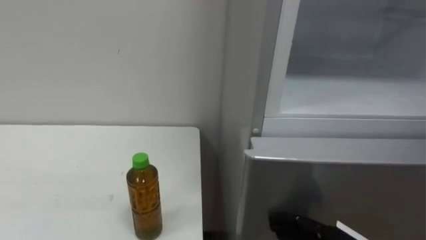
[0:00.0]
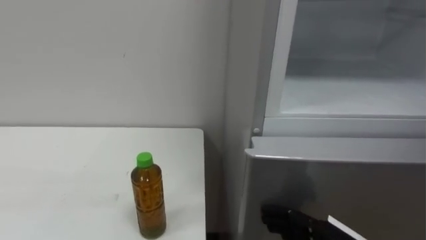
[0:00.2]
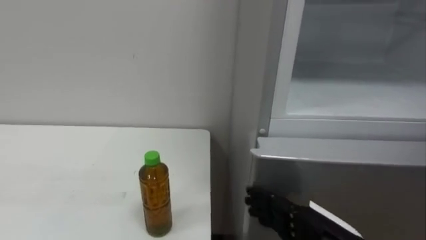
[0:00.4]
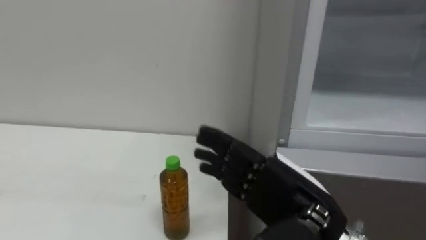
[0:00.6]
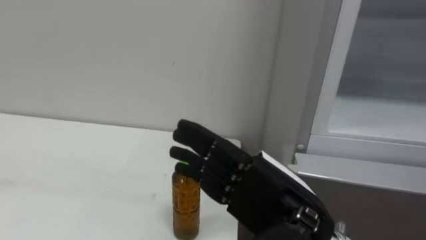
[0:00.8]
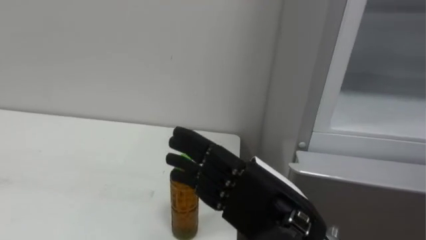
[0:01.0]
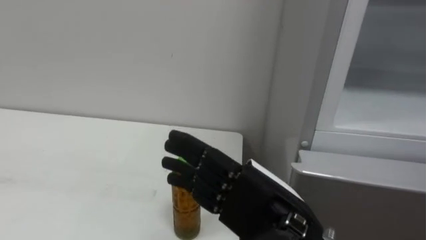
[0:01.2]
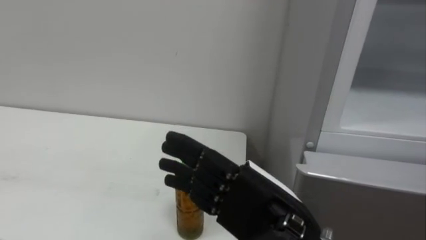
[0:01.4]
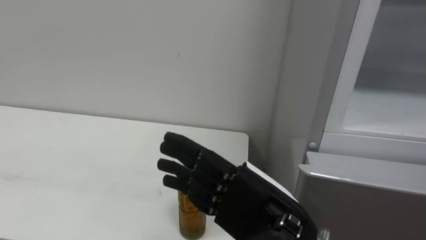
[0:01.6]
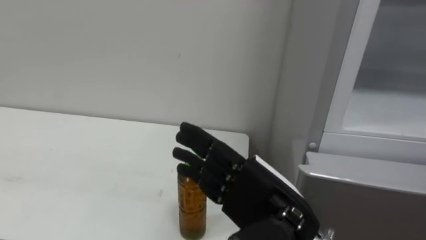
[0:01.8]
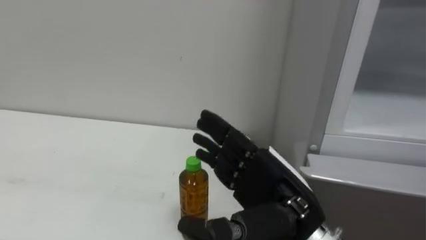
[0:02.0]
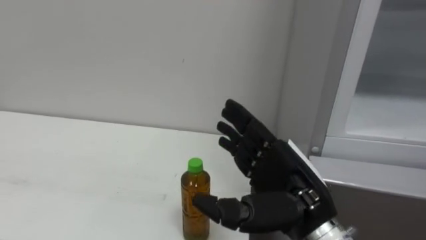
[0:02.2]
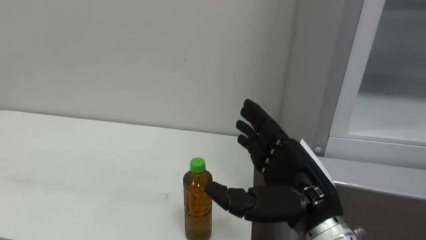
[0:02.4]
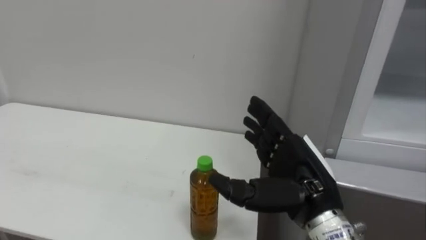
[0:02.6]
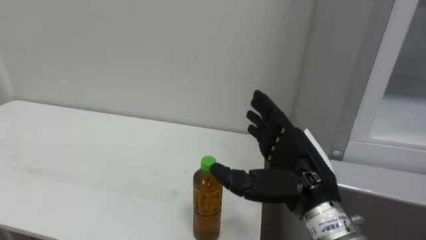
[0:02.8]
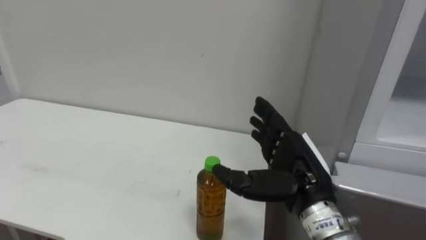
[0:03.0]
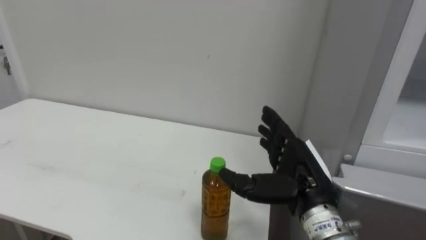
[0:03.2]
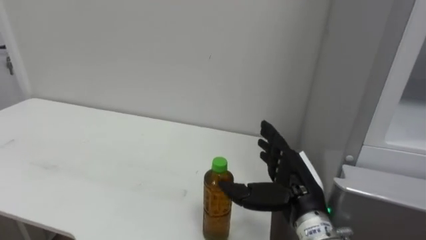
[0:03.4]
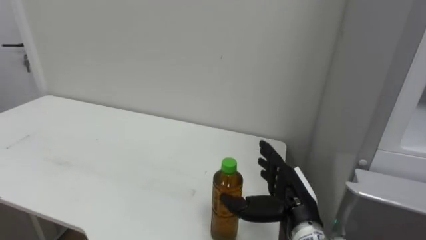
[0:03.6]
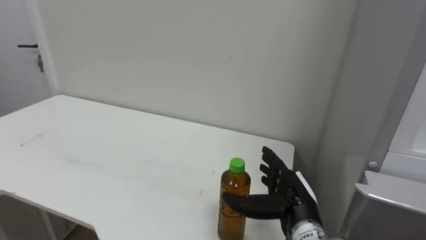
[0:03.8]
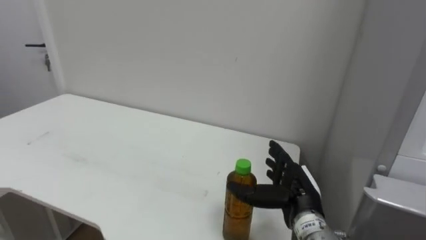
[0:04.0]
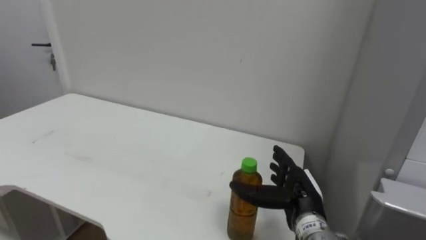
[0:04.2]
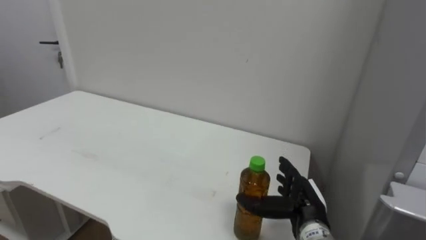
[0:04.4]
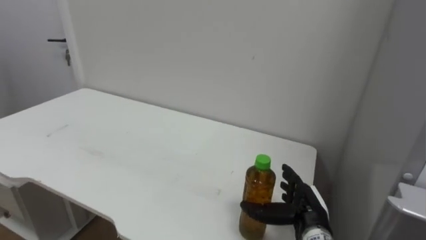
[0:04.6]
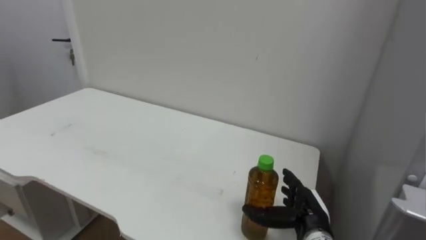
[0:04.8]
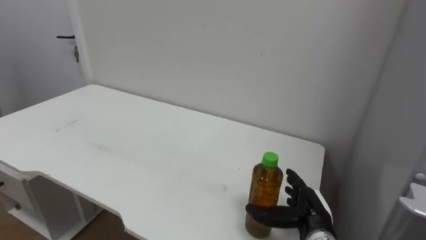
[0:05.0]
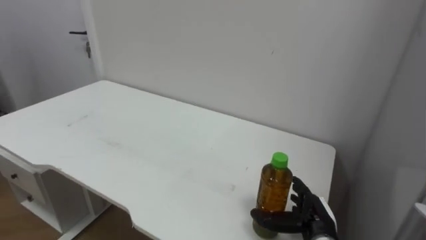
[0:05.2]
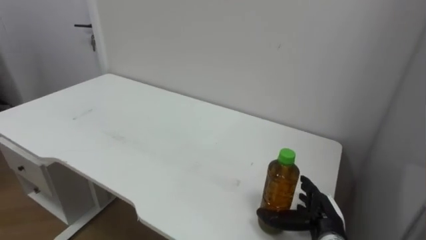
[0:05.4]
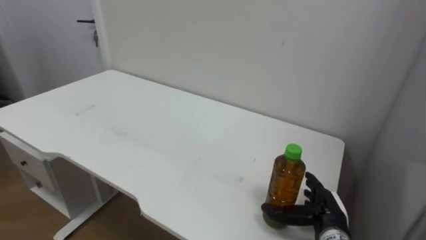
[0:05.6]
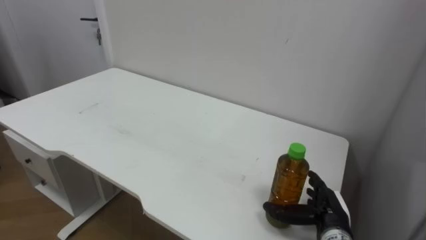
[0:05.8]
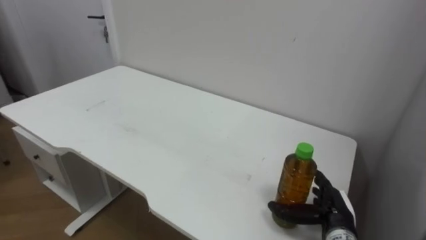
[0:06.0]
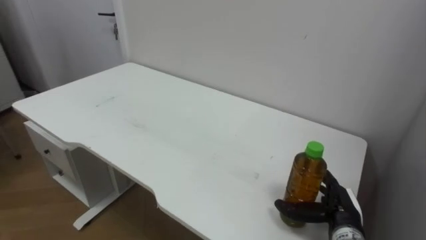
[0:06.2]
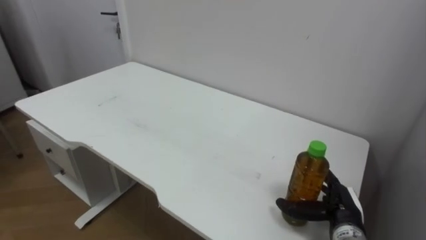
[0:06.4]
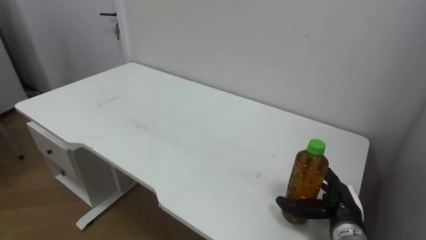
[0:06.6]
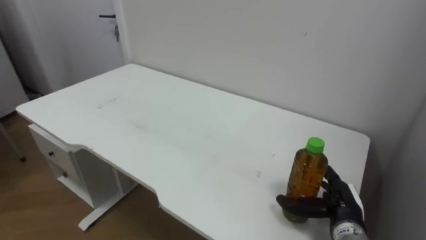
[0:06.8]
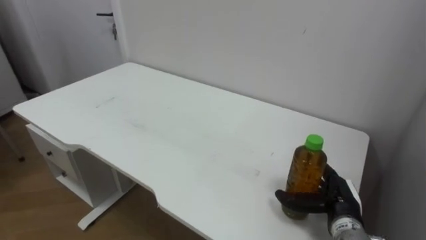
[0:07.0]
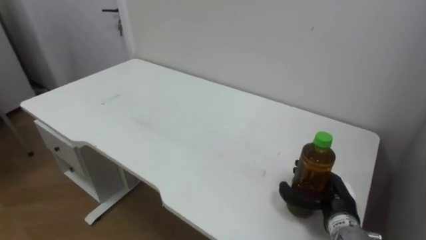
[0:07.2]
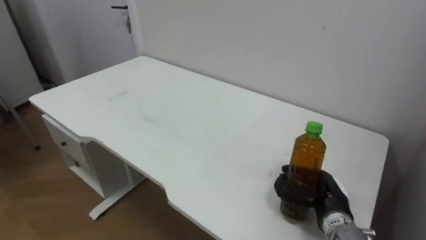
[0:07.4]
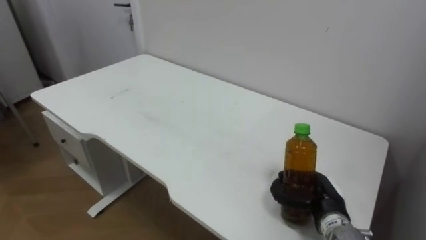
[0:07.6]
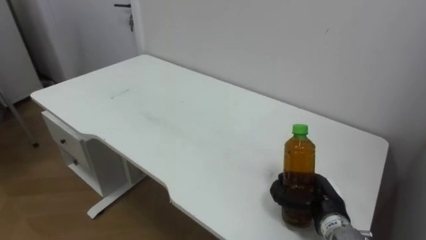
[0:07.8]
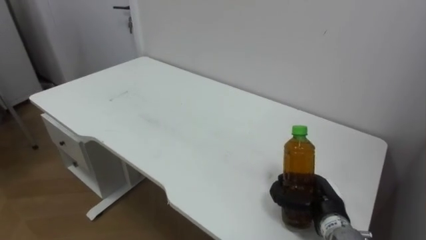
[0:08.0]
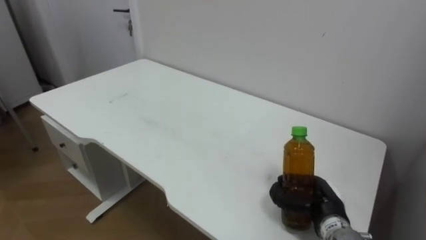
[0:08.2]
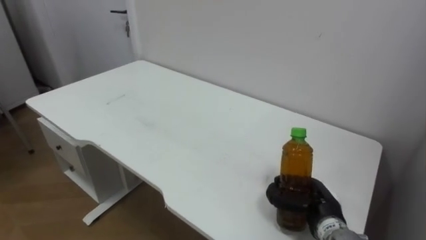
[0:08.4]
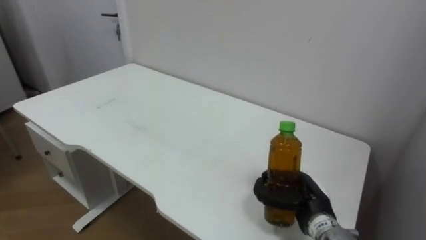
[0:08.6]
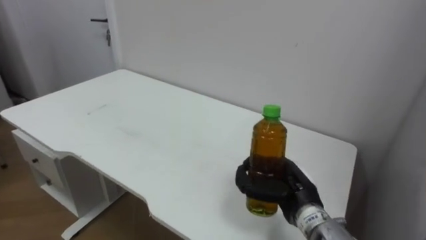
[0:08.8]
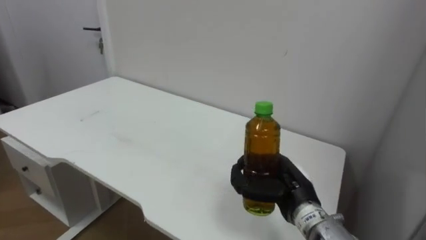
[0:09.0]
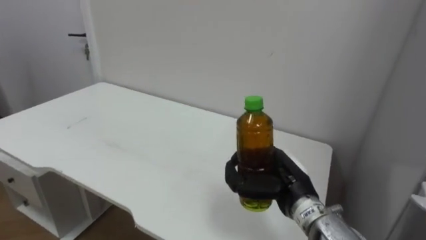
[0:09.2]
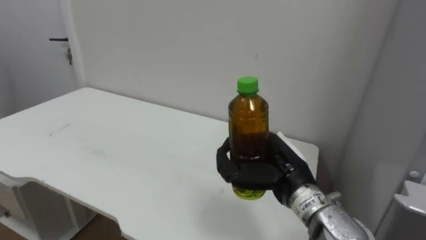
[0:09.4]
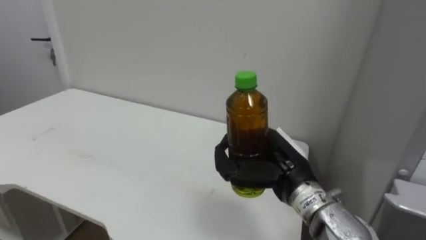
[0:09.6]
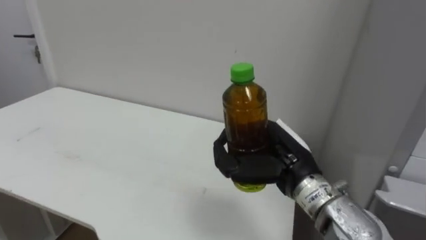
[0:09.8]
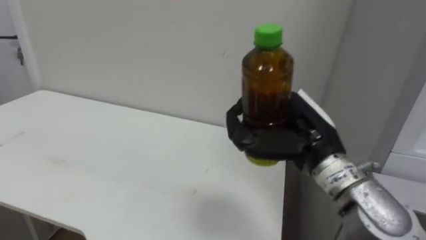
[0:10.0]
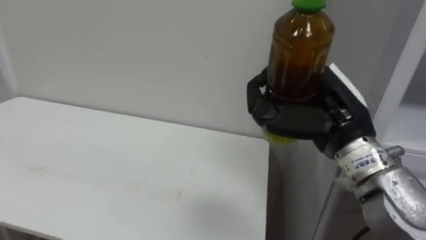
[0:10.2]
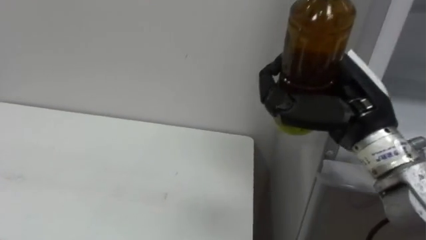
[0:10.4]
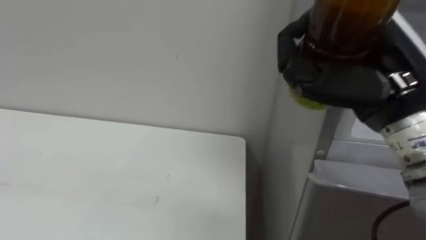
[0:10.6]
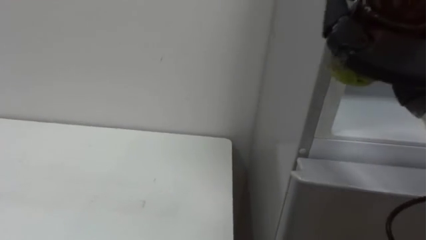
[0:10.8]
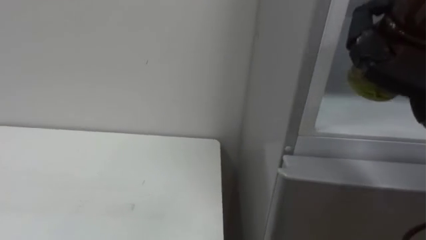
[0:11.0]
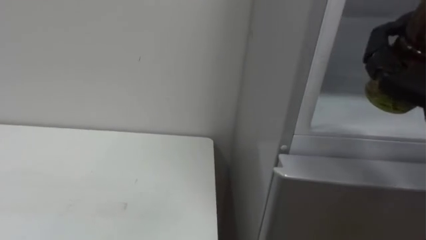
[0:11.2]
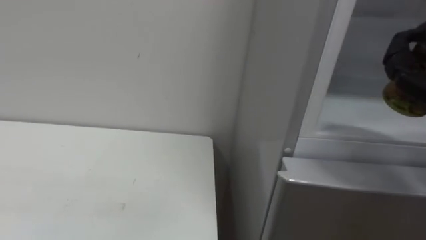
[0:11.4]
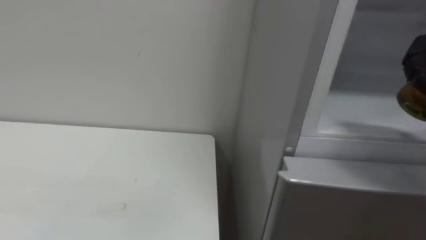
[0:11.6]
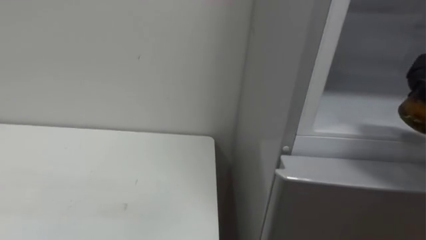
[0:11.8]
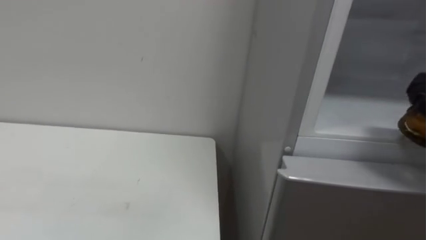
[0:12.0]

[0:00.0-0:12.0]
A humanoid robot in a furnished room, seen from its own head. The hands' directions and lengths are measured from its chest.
Task of the whole recording: Open the upper refrigerator door, put the drink from the table into the refrigerator, and then close the refrigerator door.
0:01.6 to 0:03.0: The right hand moves forward and to the right, approximately 10 cm.
0:03.0 to 0:04.4: The right hand goes roughly 10 cm downward.
0:04.4 to 0:06.0: The right hand shifts approximately 5 cm to the right.
0:06.0 to 0:07.6: The right hand closes.
0:07.6 to 0:09.0: The right hand goes roughly 10 cm to the left and upward.
0:09.0 to 0:10.4: The right hand goes about 20 cm upward.

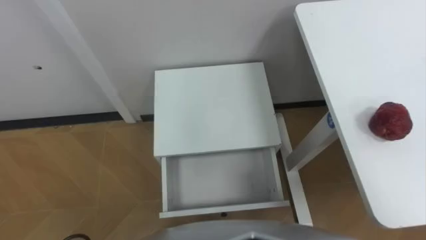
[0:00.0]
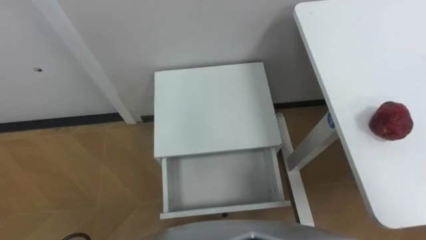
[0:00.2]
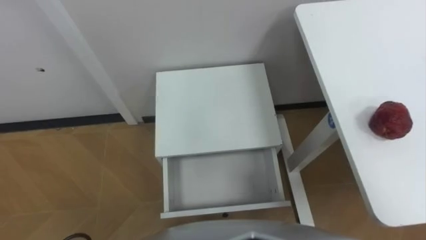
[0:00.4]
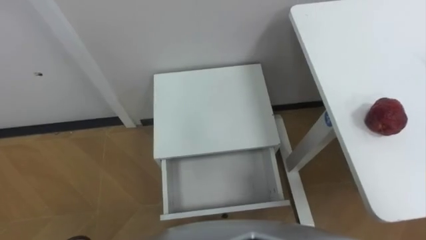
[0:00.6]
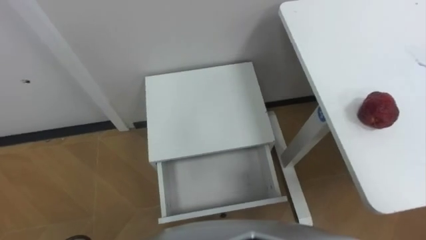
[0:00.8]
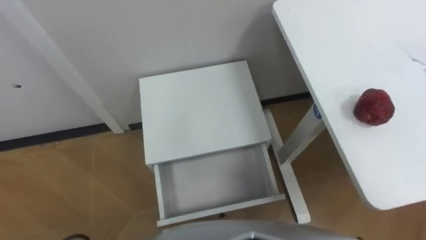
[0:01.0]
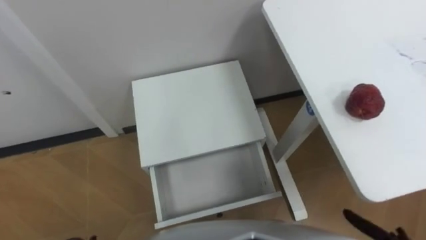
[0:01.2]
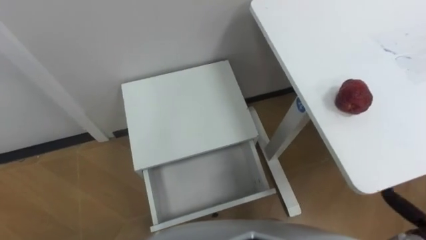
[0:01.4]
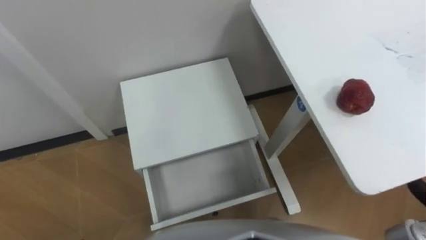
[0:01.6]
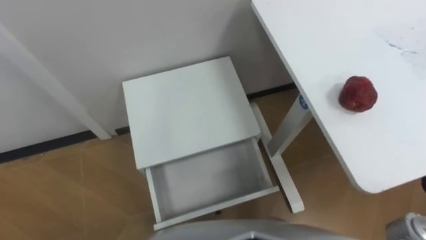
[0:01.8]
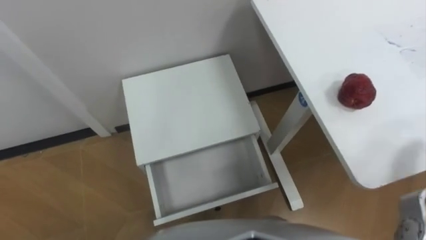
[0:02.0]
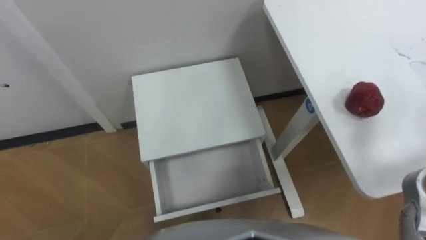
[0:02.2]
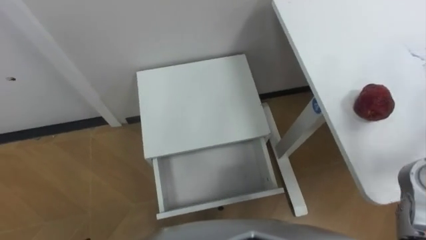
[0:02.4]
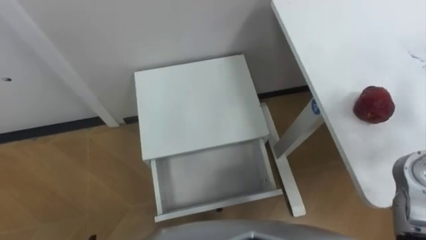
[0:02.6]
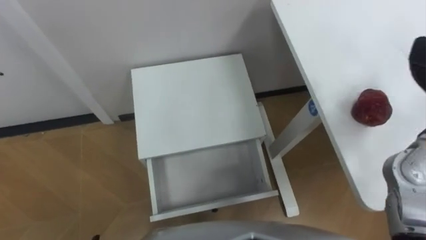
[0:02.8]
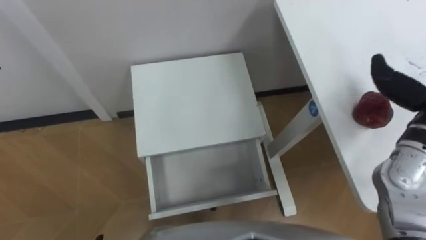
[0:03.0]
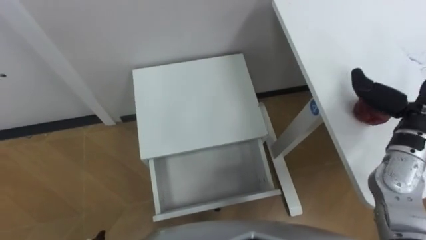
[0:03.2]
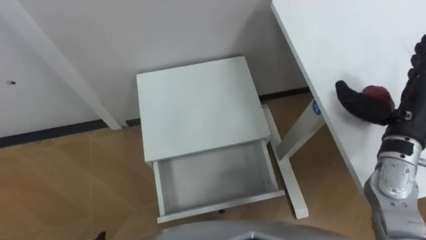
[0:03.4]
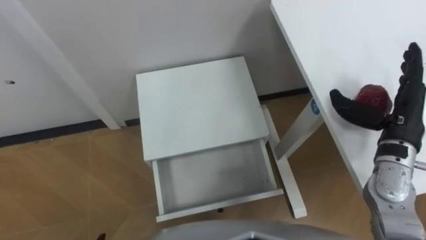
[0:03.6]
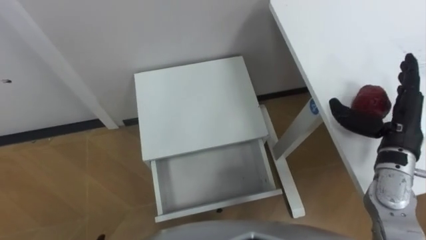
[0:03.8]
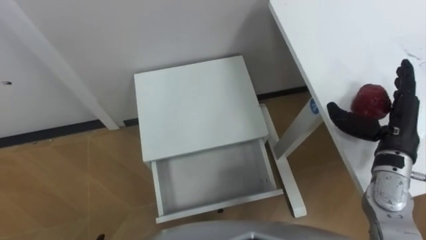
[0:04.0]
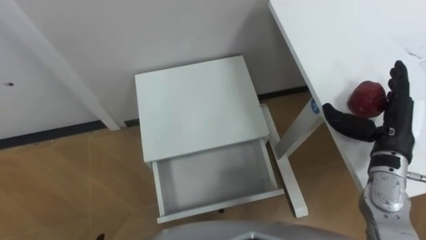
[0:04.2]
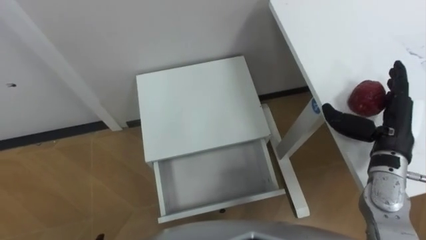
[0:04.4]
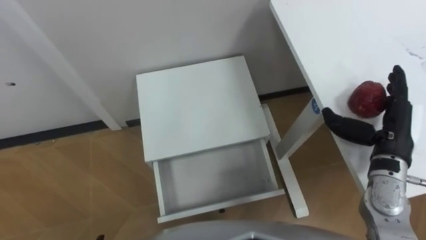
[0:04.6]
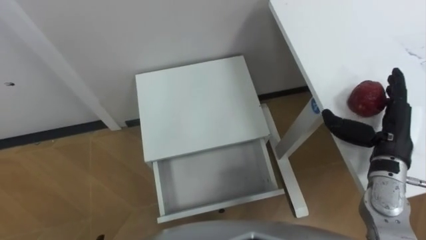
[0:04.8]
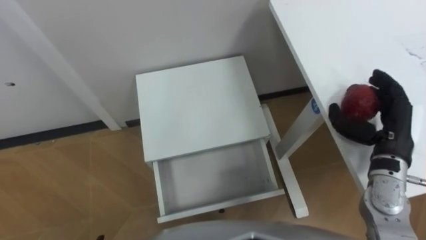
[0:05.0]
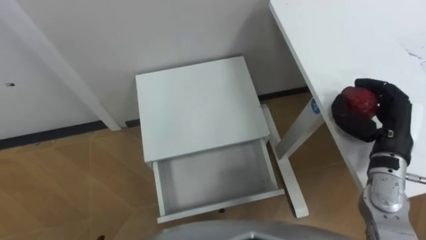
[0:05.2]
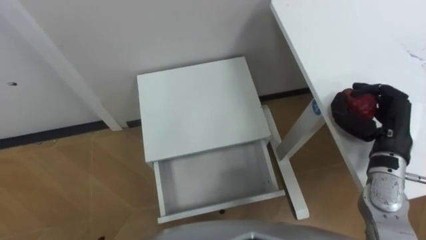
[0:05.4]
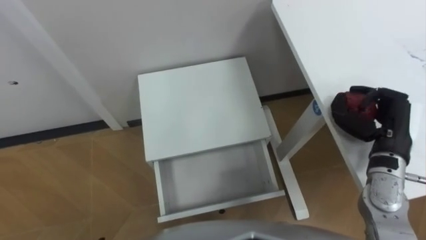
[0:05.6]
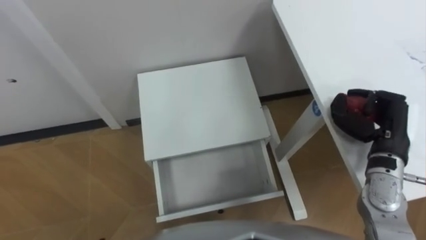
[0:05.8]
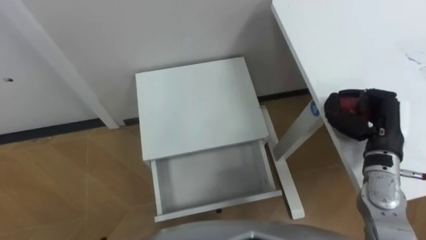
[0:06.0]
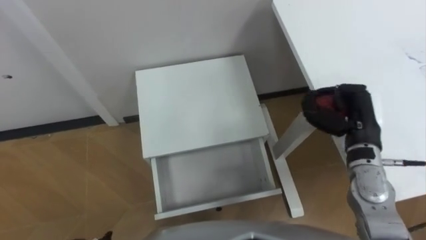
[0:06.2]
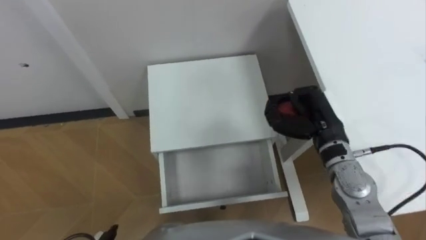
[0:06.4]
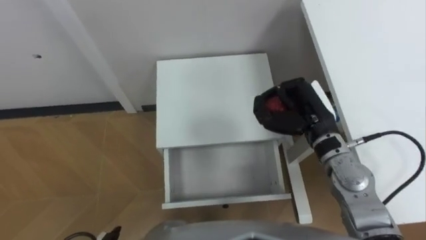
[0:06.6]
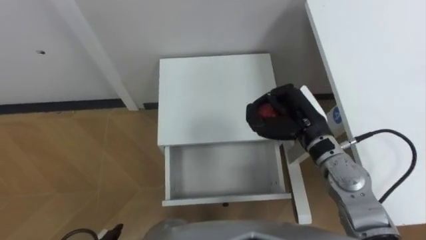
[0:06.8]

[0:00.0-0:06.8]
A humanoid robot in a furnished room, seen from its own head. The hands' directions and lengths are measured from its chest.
Task of the whole recording: Pick up the apple from the table, put it in the drawer, and close the drawer with leg.
0:04.0 to 0:05.4: The right hand closes up.
0:05.4 to 0:06.8: The right hand goes roughly 15 cm to the left.
